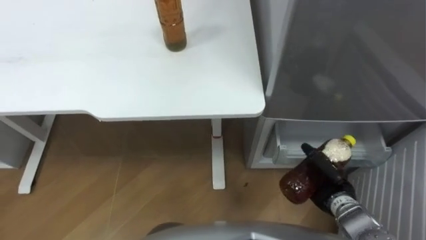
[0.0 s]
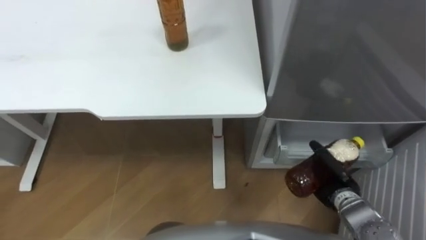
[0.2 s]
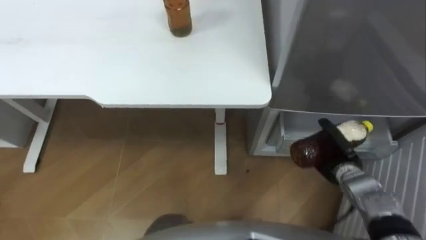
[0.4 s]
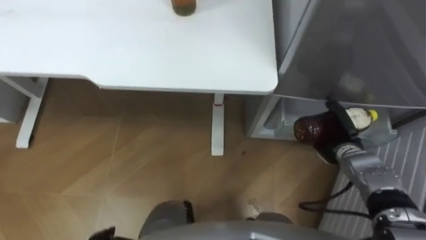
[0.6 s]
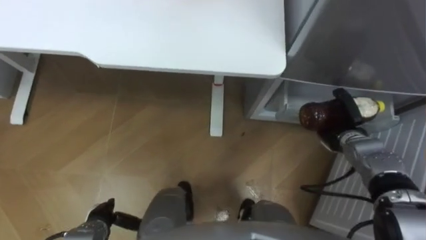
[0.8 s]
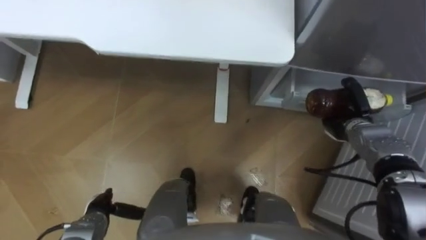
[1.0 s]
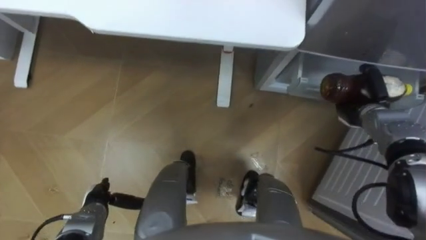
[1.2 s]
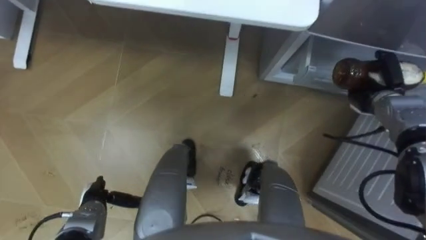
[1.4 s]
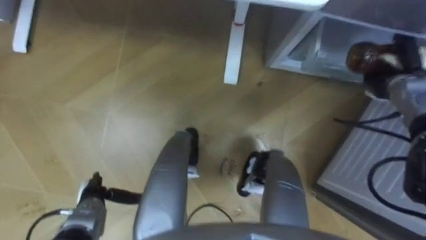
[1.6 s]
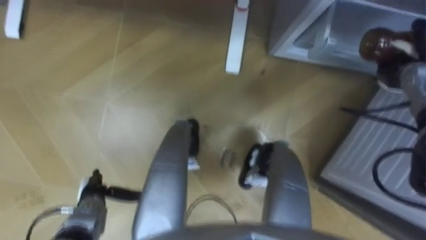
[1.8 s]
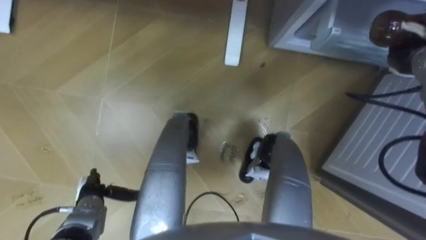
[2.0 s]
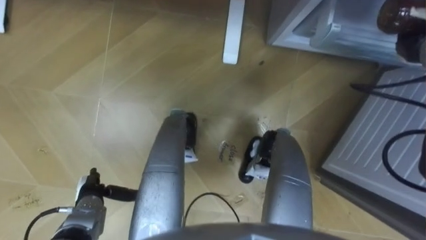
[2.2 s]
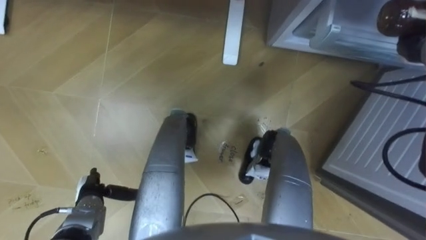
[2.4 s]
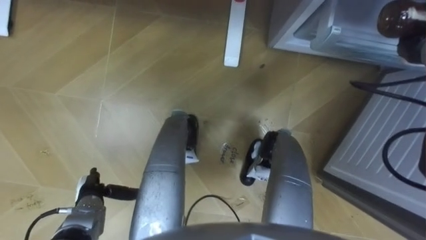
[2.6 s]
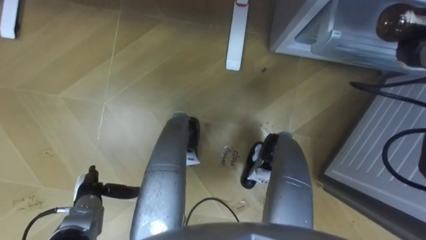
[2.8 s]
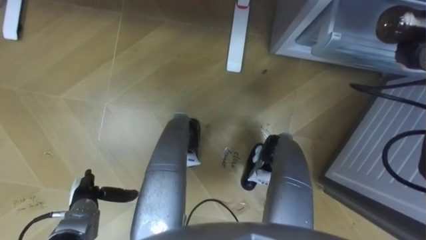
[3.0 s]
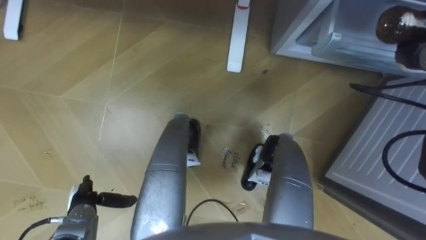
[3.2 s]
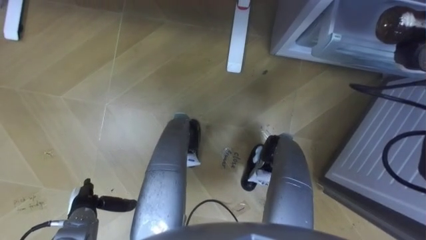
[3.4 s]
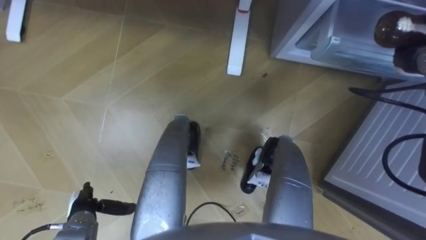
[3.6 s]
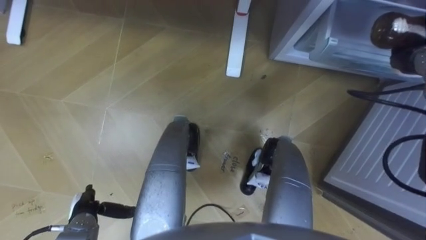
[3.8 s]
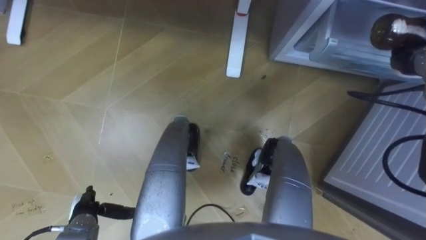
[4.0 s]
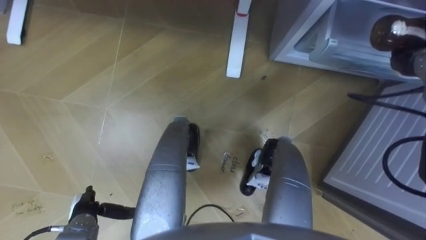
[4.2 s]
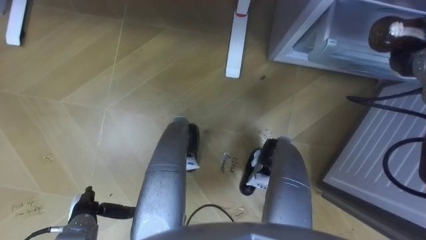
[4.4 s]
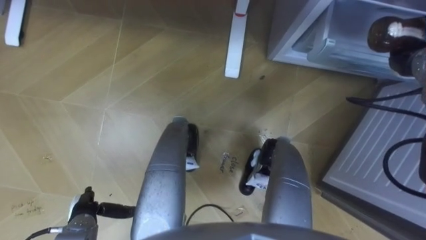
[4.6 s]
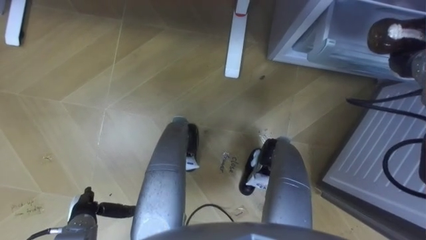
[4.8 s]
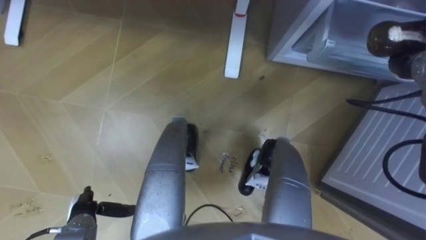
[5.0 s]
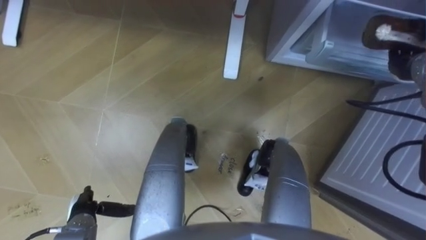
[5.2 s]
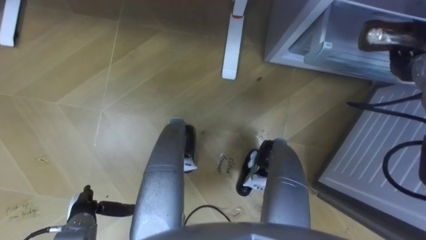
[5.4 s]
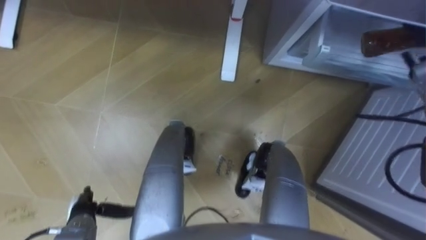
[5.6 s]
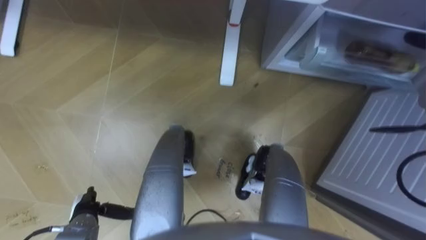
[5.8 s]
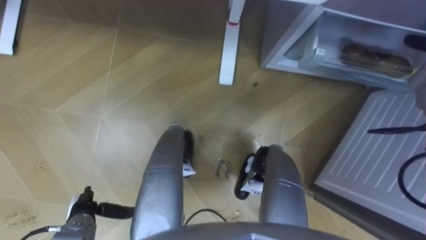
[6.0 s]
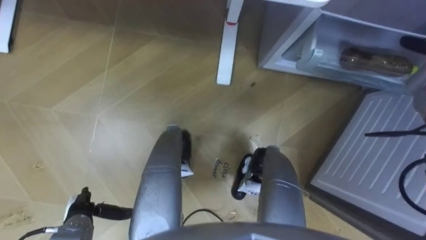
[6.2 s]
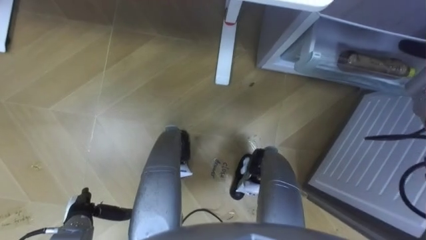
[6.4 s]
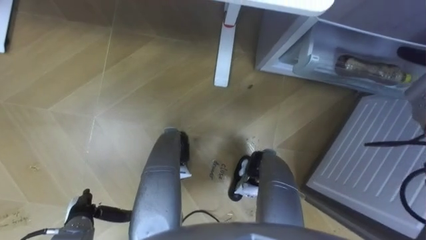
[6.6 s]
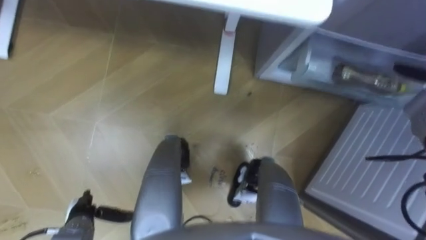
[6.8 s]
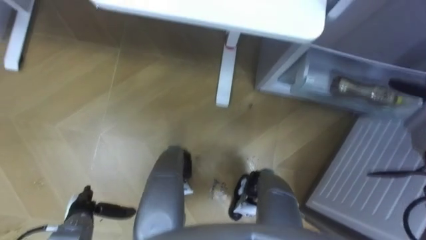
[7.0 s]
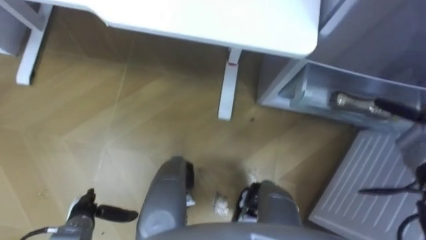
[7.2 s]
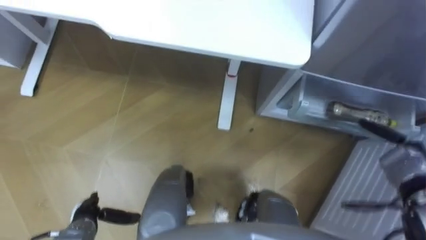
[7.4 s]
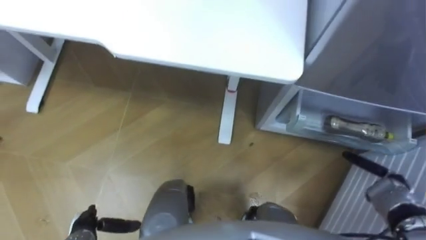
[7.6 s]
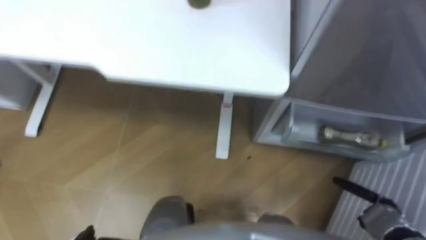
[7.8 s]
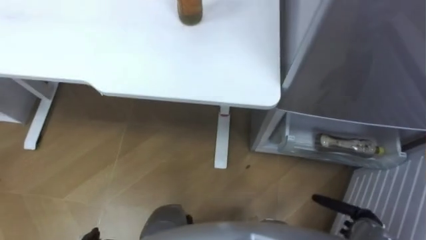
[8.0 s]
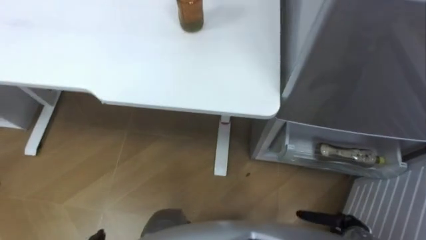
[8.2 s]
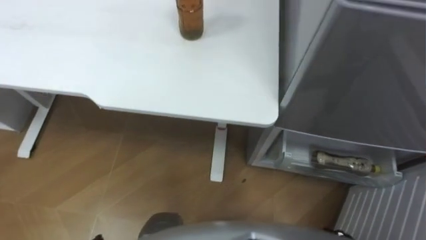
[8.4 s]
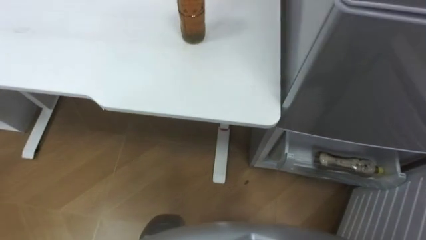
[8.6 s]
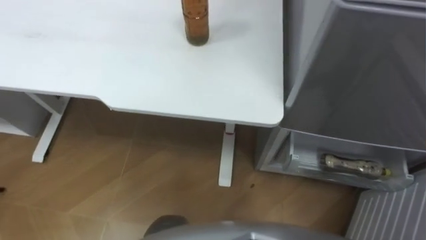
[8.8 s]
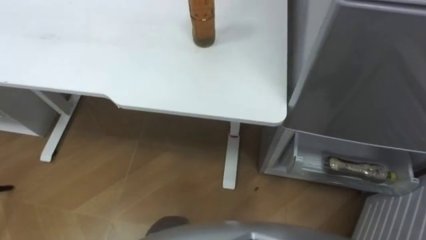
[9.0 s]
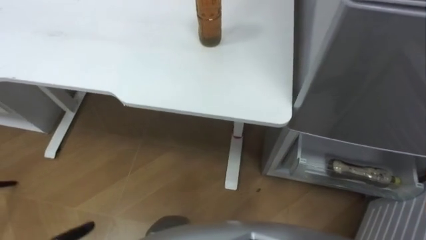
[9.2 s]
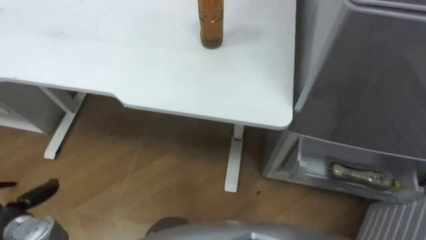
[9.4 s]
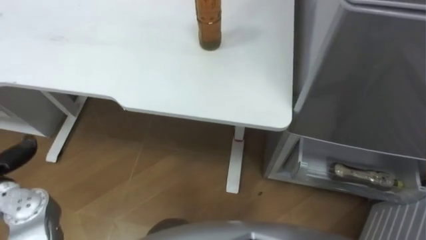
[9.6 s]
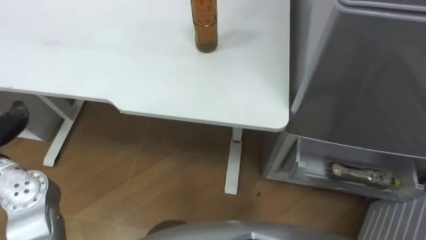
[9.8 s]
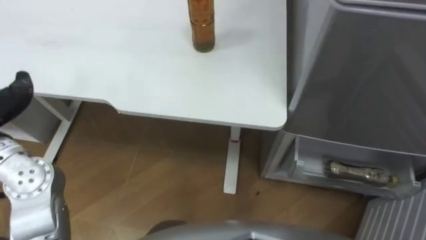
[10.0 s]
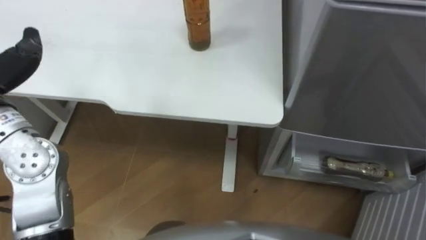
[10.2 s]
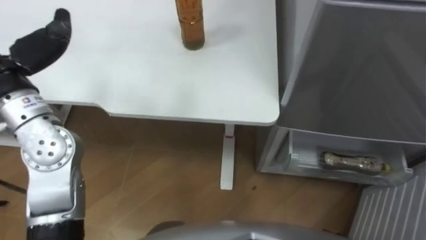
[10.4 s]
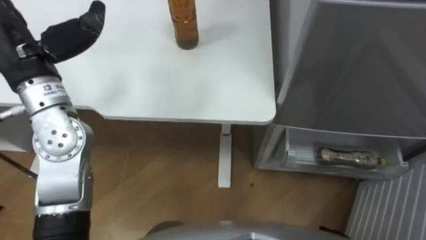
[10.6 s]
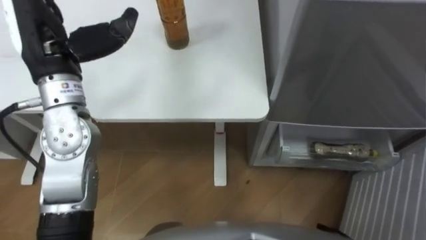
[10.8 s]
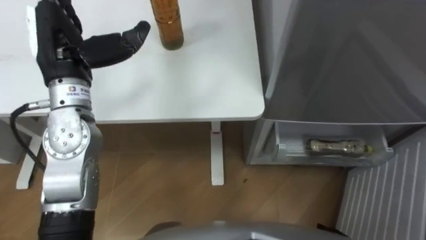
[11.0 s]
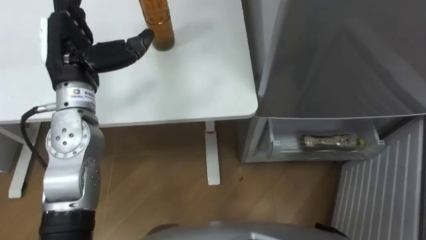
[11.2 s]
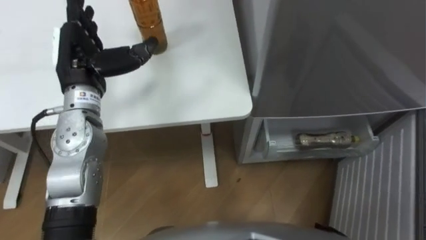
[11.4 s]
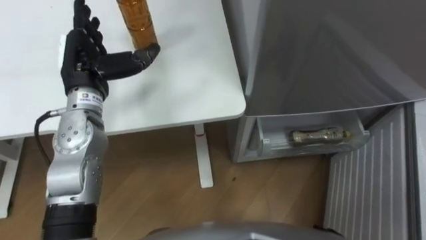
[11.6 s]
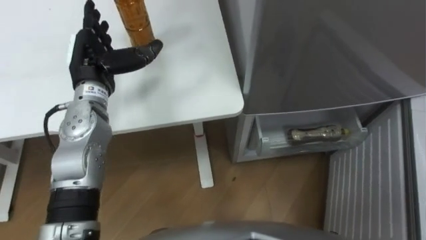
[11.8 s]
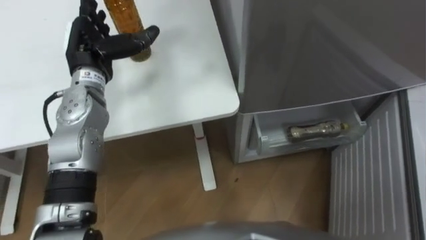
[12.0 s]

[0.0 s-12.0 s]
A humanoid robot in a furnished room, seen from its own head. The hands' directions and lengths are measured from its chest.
Task of the whole recording: Place the drink on the table on the bottom shelf of the refrigerator, then close the drawer and the refrigerator door.
0.0 to 1.6 s: The right hand travels forward, upward and to the right by some 25 cm.
1.6 to 3.0 s: The right hand goes some 5 cm upward.

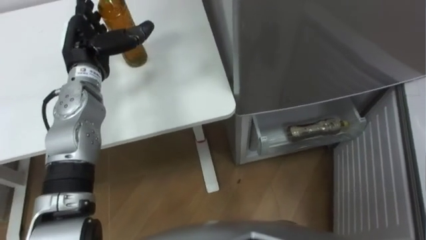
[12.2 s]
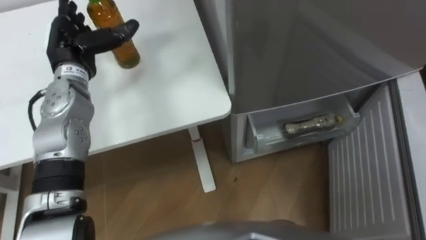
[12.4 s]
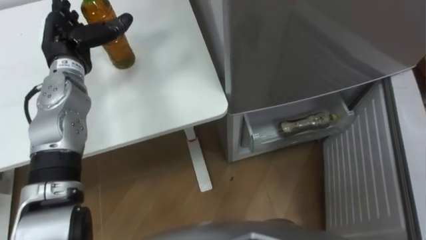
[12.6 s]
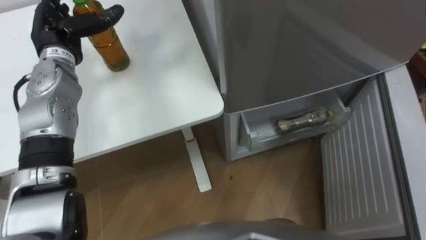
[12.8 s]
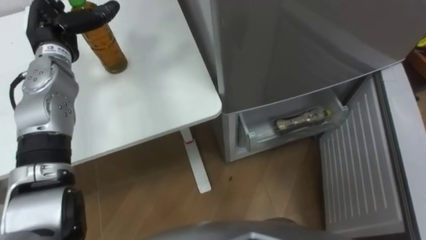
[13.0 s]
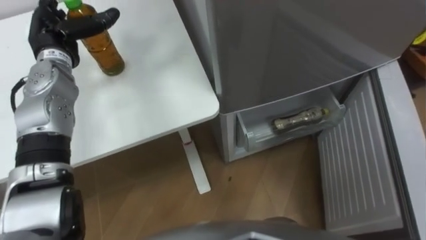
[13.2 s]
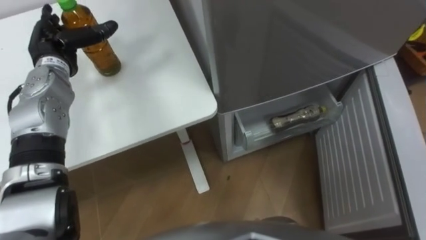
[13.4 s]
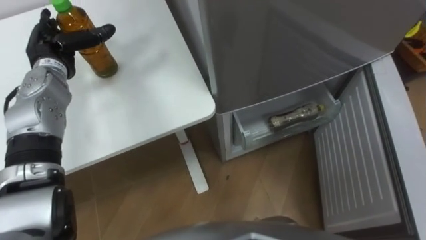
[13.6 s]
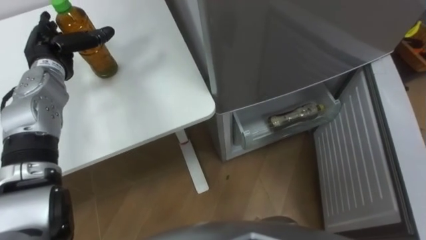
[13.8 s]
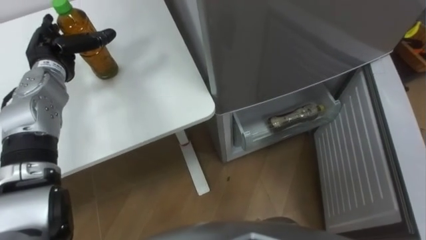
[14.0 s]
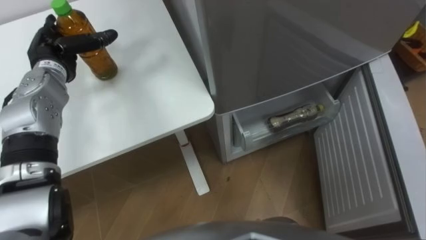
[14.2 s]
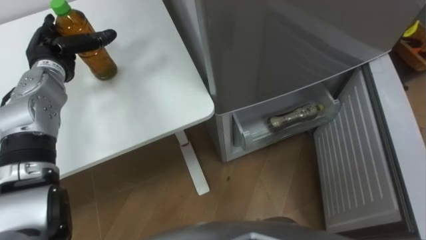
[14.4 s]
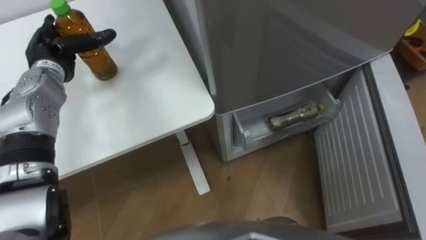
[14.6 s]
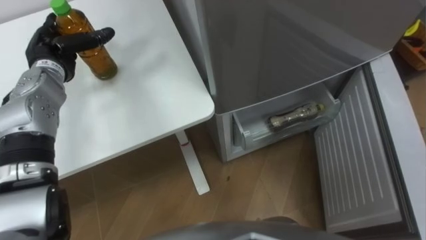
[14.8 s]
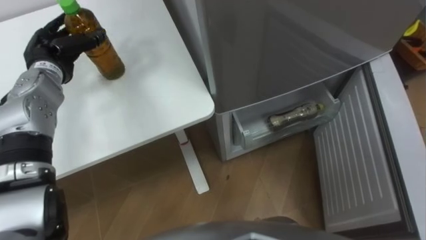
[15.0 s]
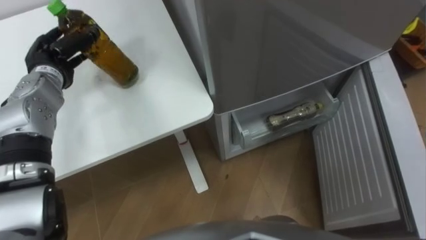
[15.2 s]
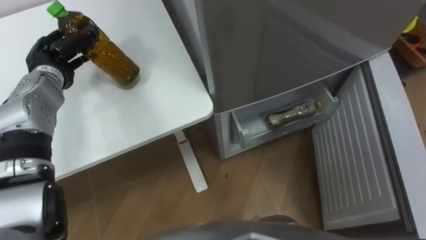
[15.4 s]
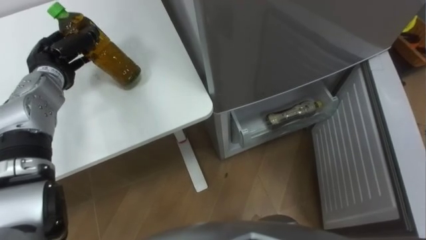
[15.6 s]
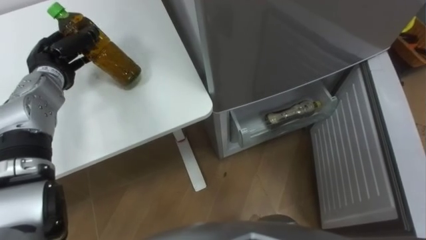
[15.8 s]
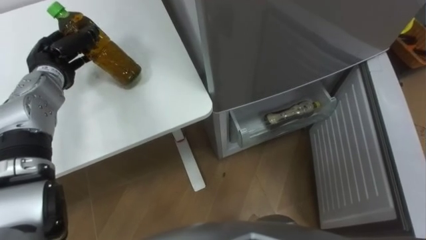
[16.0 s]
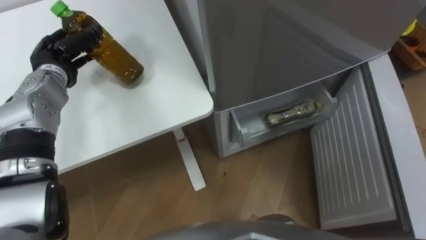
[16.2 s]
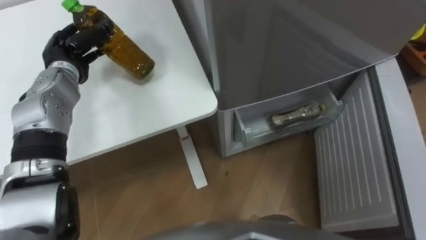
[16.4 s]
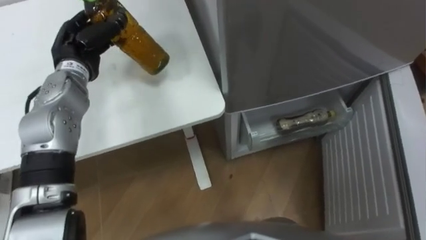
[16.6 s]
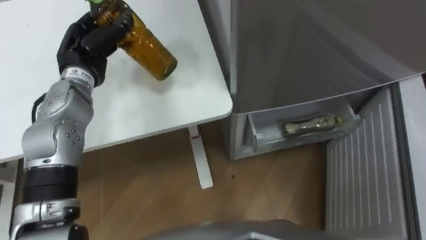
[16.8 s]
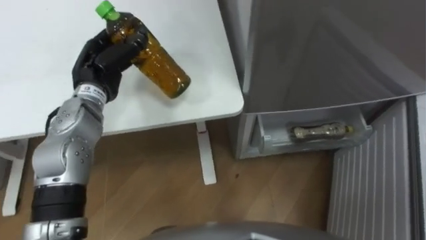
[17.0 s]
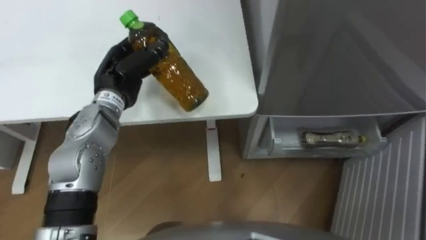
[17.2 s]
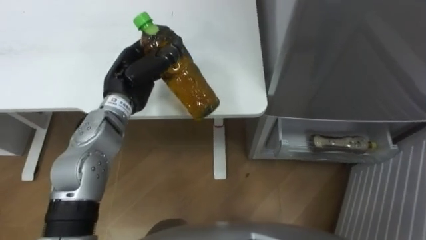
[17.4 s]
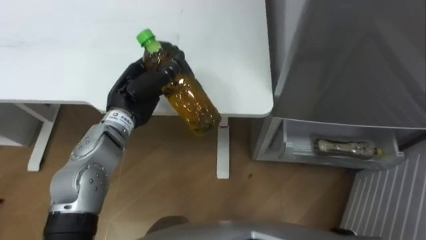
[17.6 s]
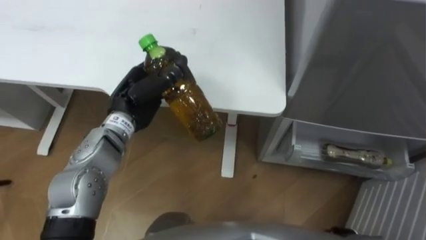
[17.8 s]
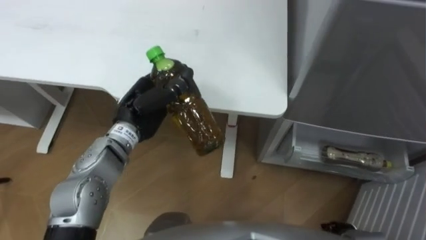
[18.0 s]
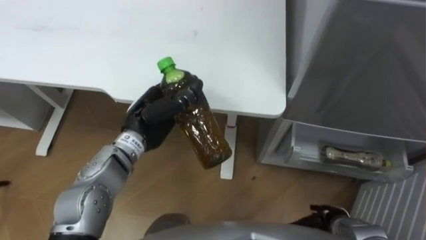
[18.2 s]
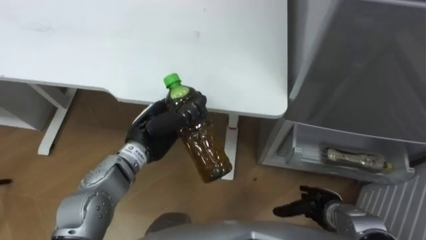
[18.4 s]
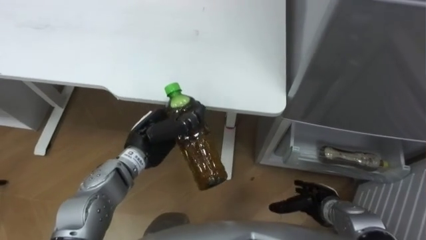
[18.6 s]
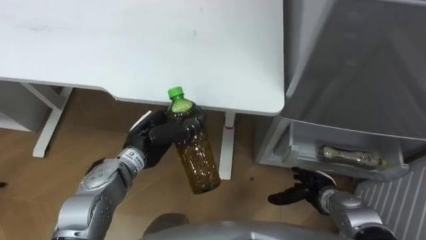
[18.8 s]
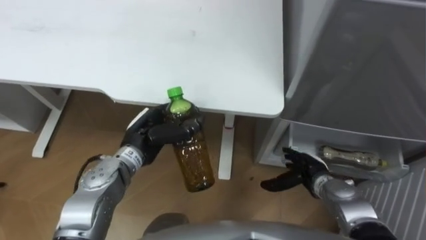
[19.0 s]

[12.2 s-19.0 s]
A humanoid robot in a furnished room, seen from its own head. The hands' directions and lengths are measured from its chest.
Task of the whole recording: Place the drink on the table on the bottom shelf of the refrigerator, then close the drawer and the refrigerator door.
12.2 to 13.6 s: The left hand travels to the left by approximately 5 cm.
16.2 to 17.6 s: The left hand is displaced to the right and backward by about 15 cm.
17.6 to 19.0 s: The left hand heads downward and backward, covering roughly 10 cm.
